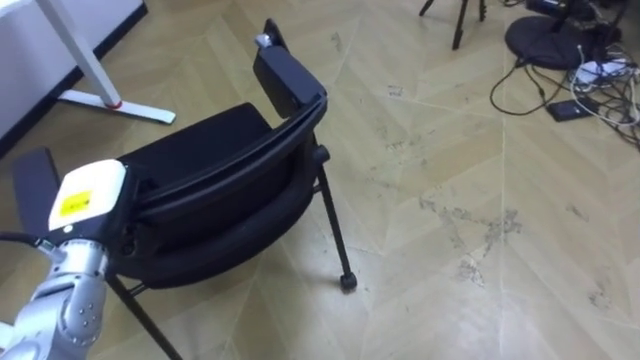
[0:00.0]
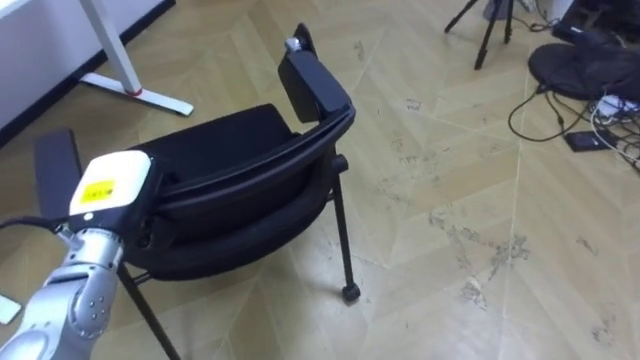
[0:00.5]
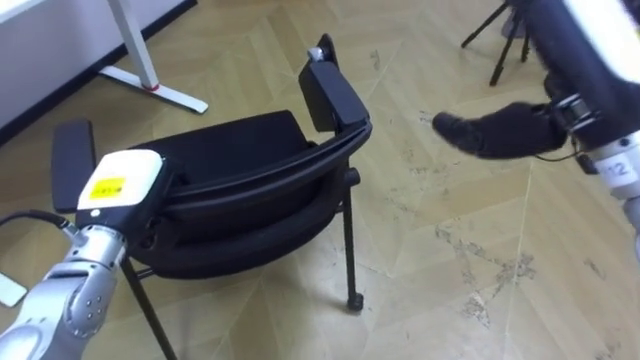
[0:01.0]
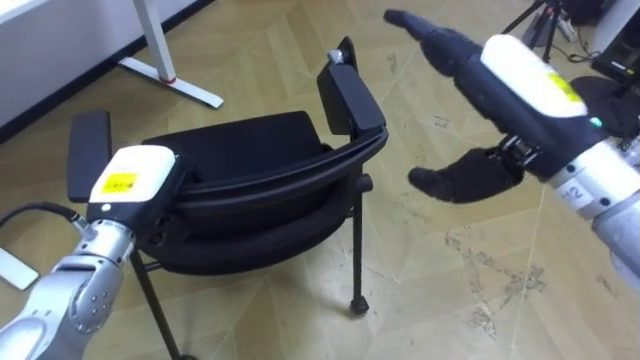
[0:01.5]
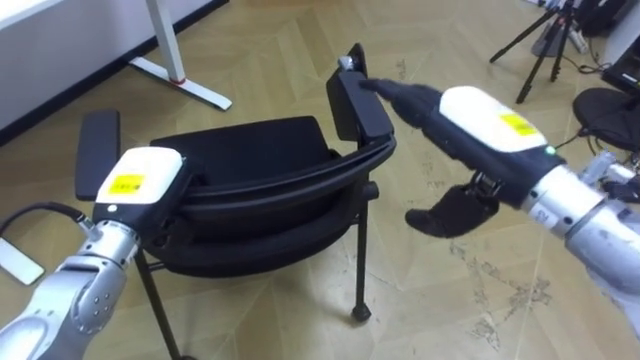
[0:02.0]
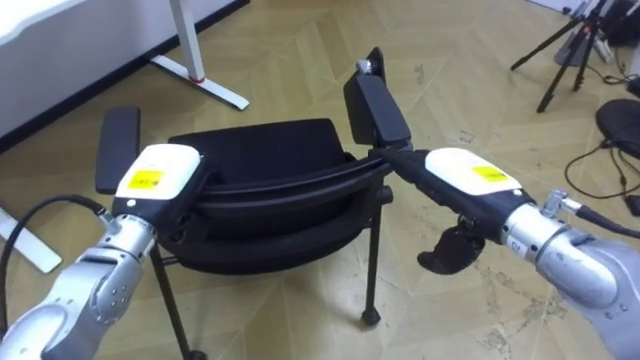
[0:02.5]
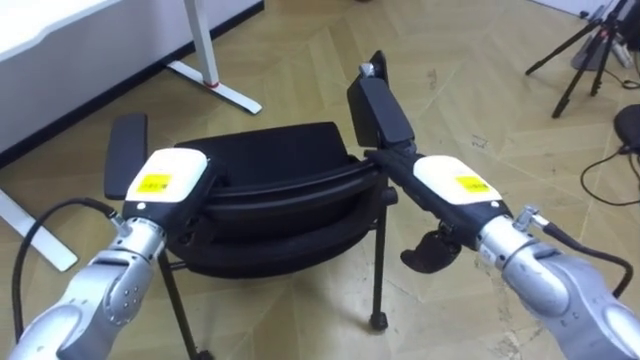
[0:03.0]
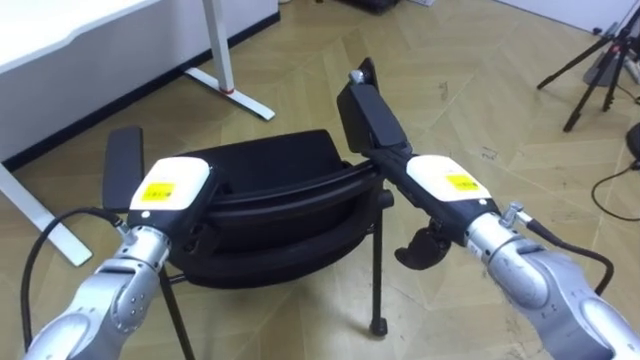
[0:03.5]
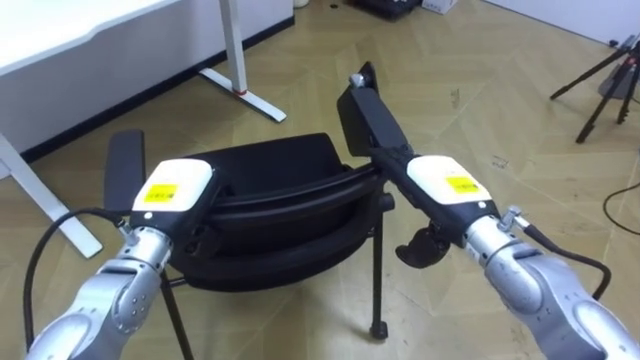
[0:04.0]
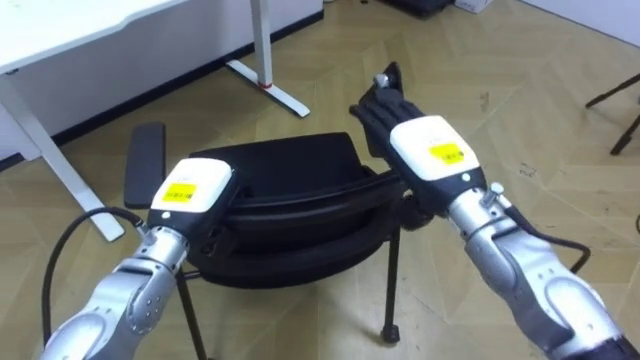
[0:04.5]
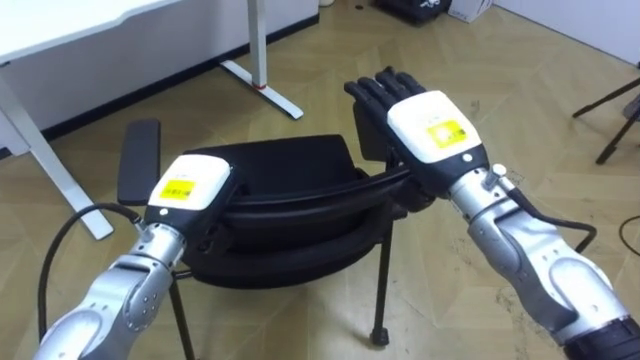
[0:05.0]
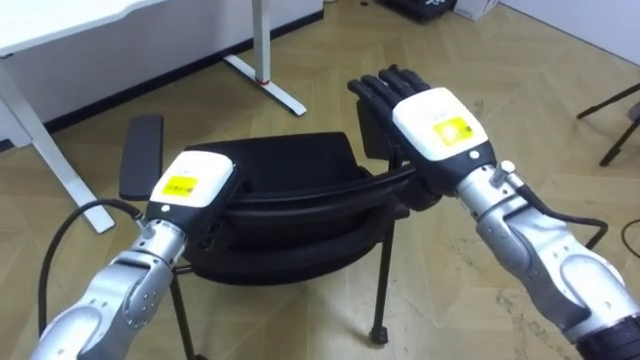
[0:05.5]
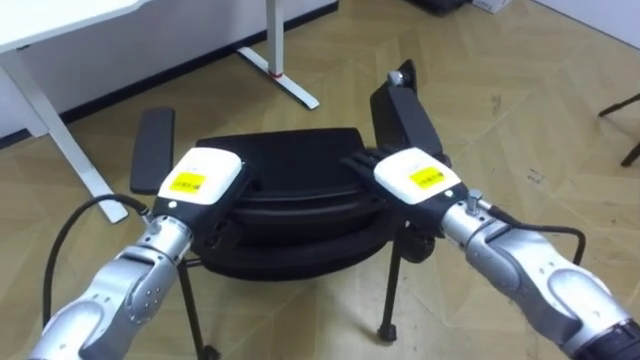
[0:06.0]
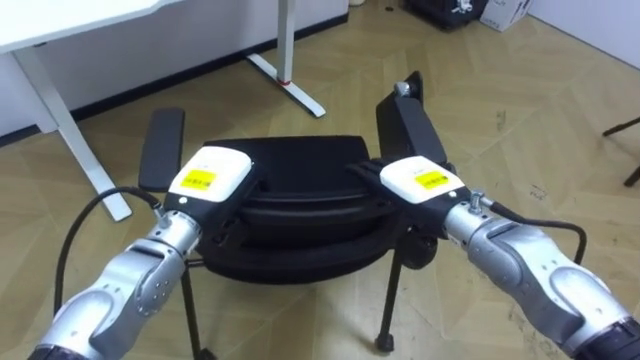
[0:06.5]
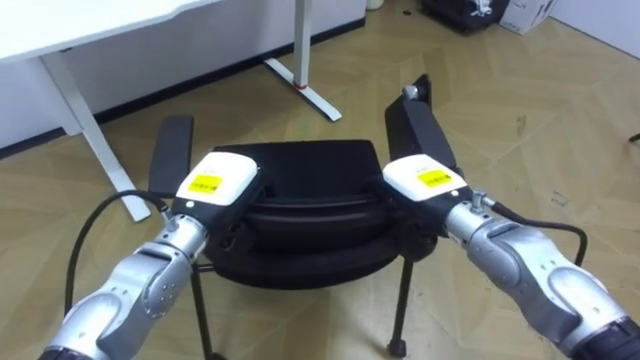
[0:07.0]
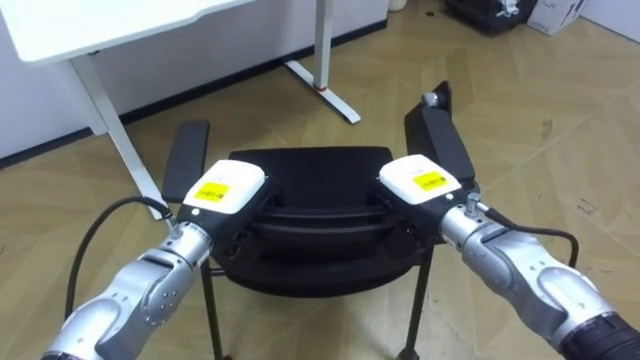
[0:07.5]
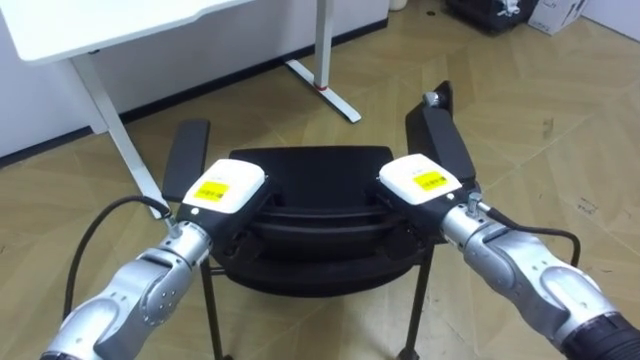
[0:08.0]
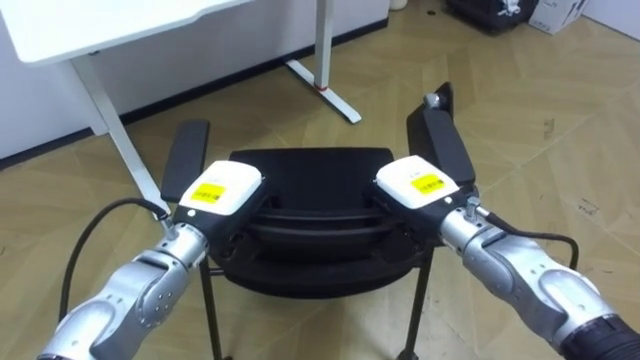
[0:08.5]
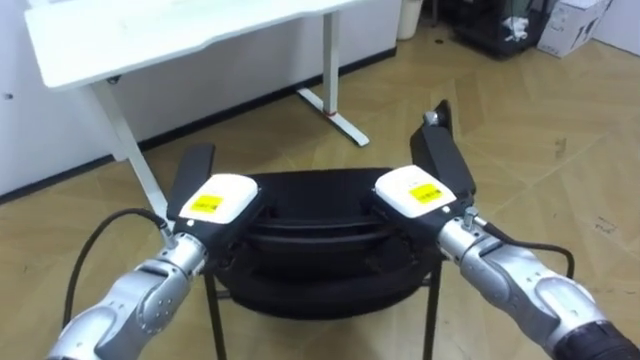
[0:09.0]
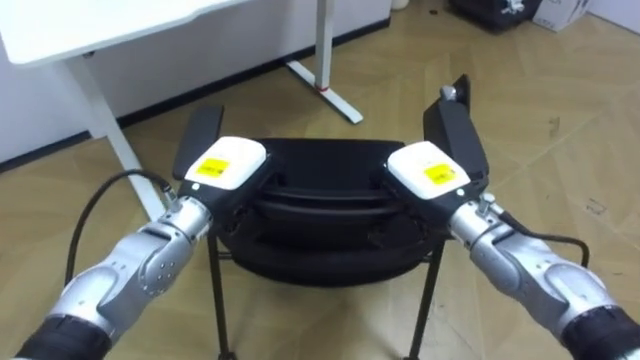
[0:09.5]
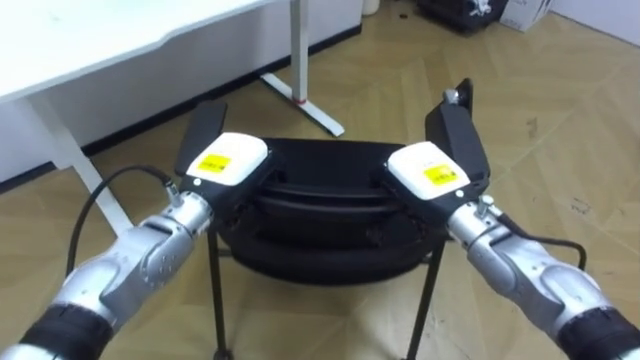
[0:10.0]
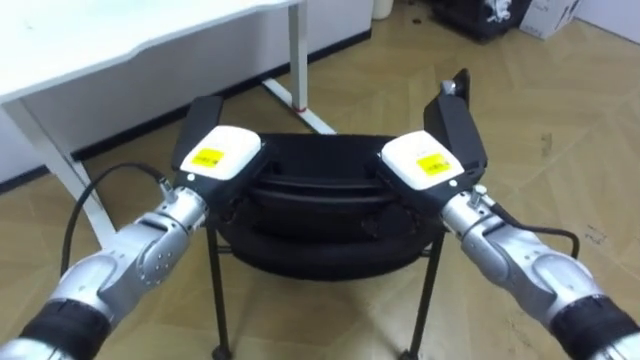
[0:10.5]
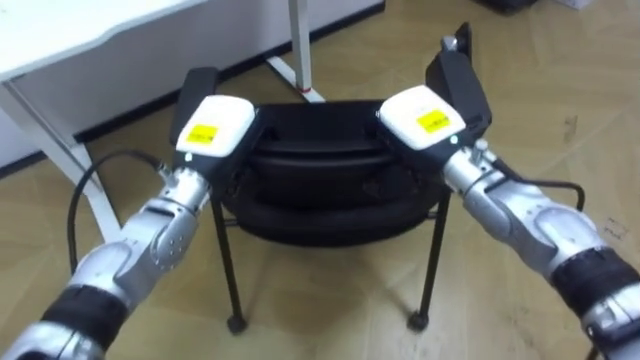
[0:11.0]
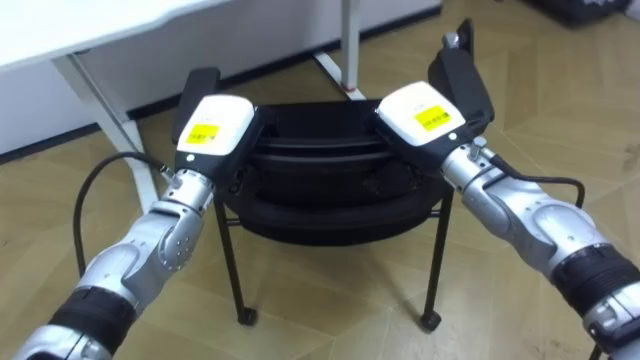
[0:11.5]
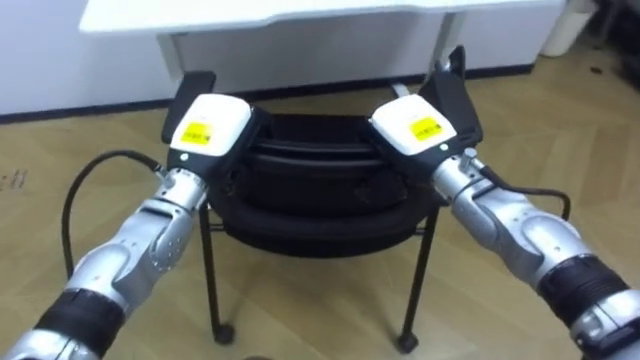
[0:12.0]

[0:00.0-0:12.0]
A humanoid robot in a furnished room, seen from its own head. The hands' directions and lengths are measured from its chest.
Task of the whole recording: Push the chair under the table.
0:00.0 to 0:02.0: The left hand is displaced to the right by some 5 cm.
0:02.0 to 0:04.0: The right hand travels downward by approximately 10 cm.
0:06.0 to 0:08.0: The right hand closes.
0:10.0 to 0:12.0: The robot faces approximately 20 degrees further to its left. The right hand changes place by approximately 5 cm.

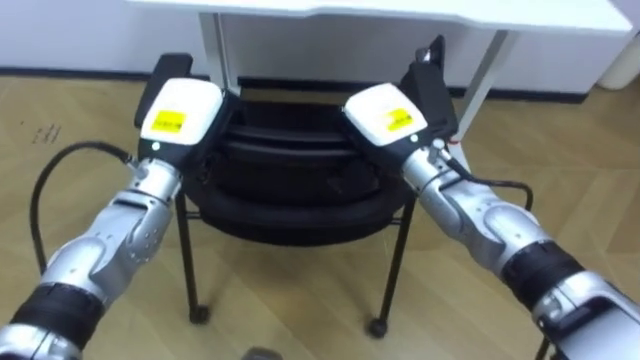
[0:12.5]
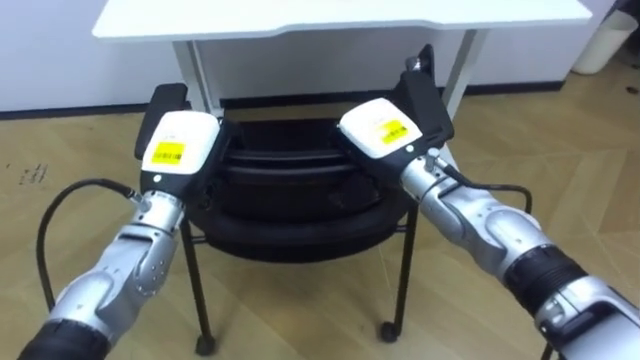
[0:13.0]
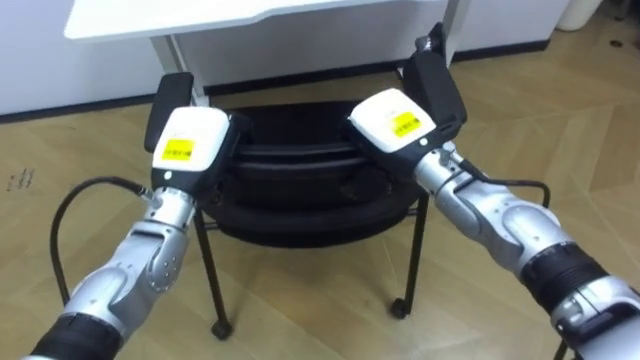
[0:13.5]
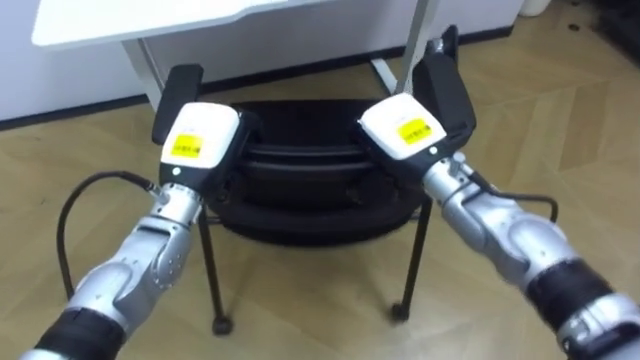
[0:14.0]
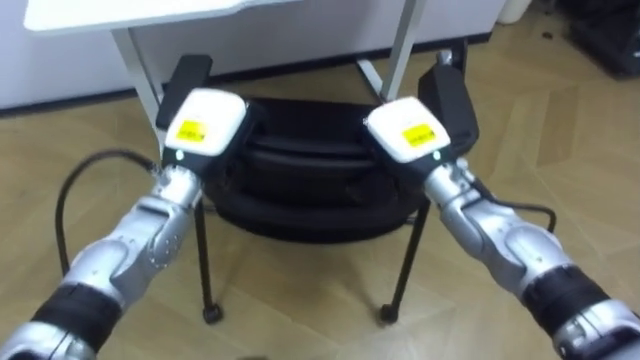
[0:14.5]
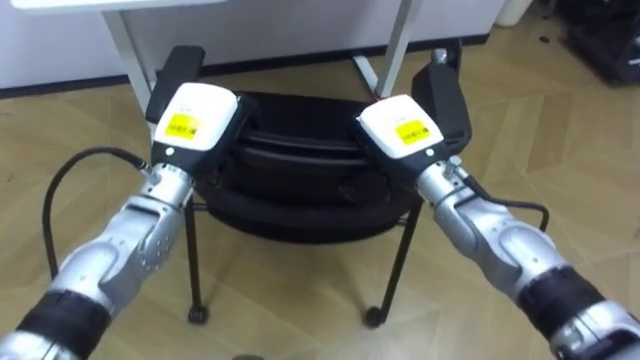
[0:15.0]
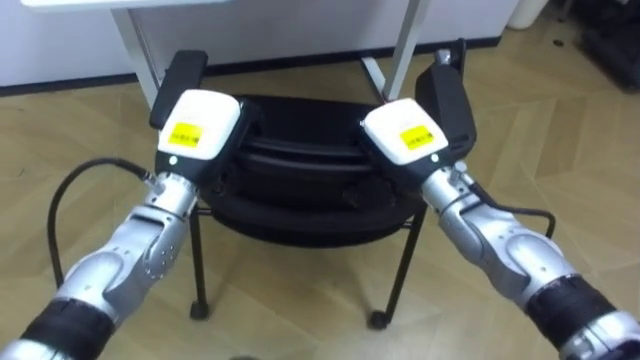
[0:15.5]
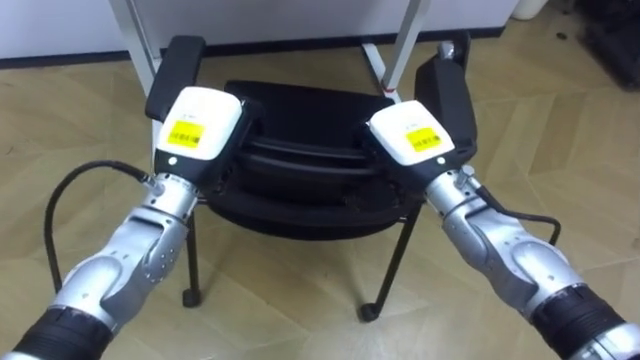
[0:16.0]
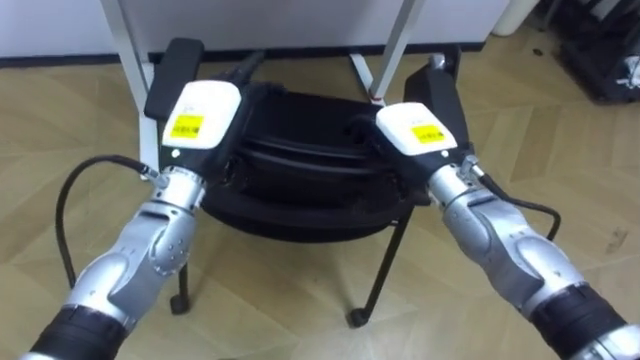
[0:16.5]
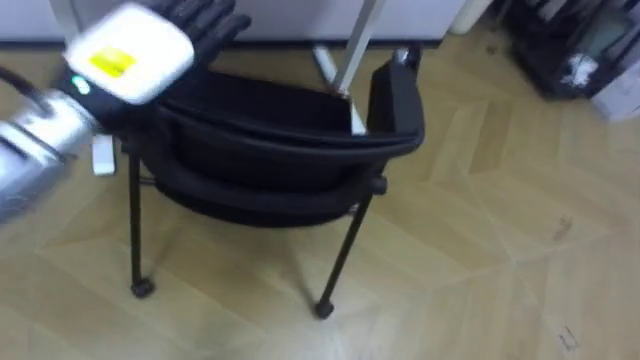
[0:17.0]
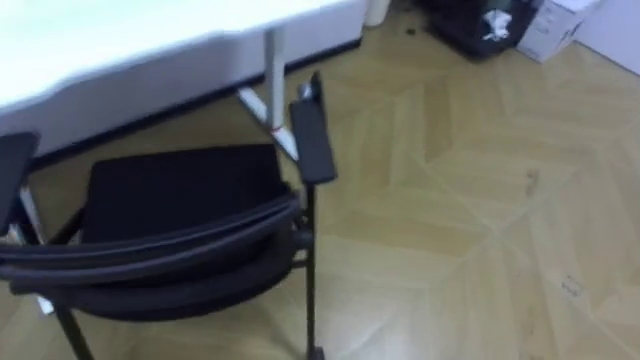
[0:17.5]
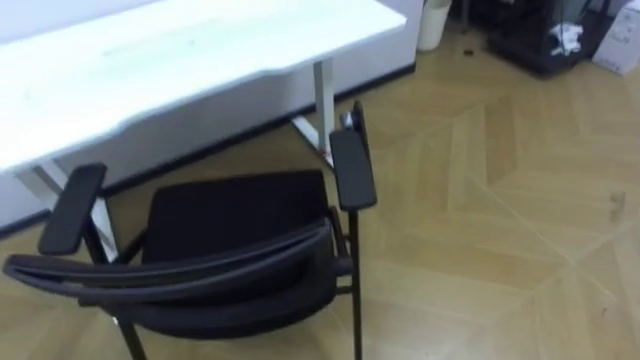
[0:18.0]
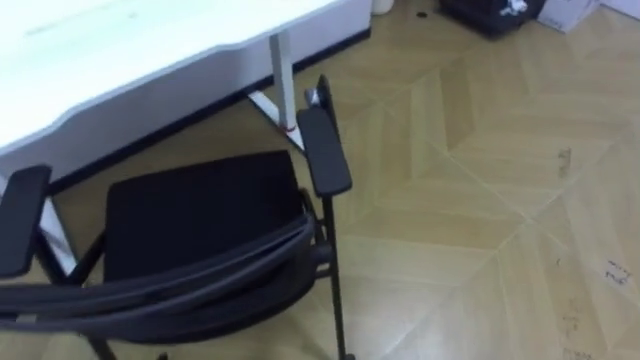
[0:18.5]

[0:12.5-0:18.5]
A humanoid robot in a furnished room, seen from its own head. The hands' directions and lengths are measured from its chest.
Task of the whole recording: Push the chair under the table.
0:14.5 to 0:16.5: The left hand opens its fingers; the right hand opens up.

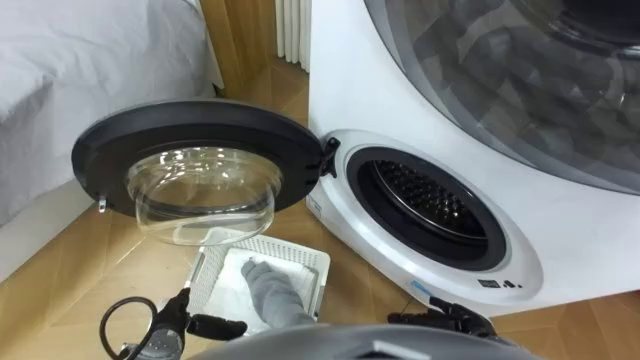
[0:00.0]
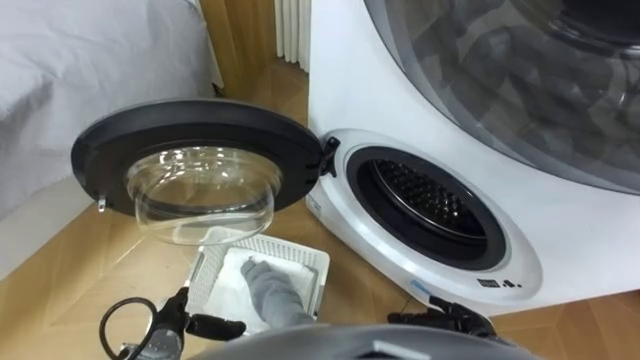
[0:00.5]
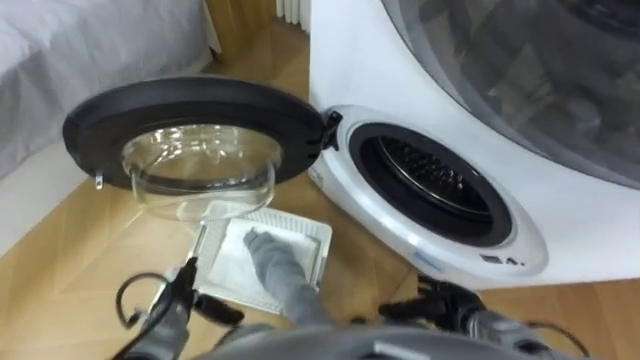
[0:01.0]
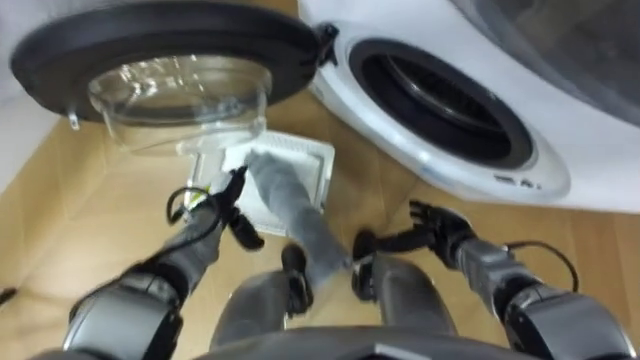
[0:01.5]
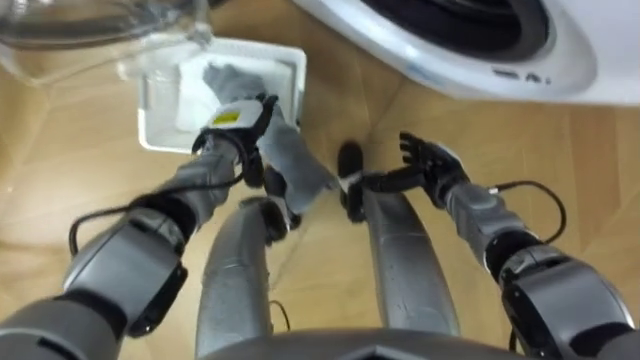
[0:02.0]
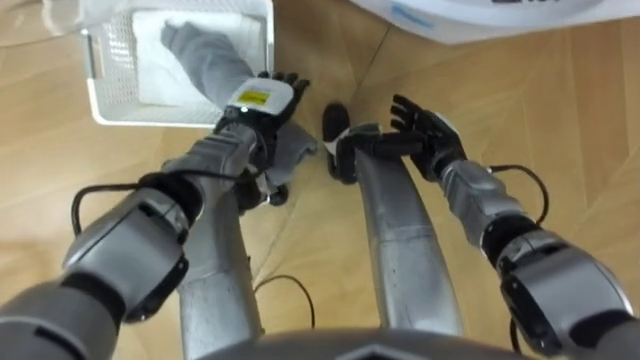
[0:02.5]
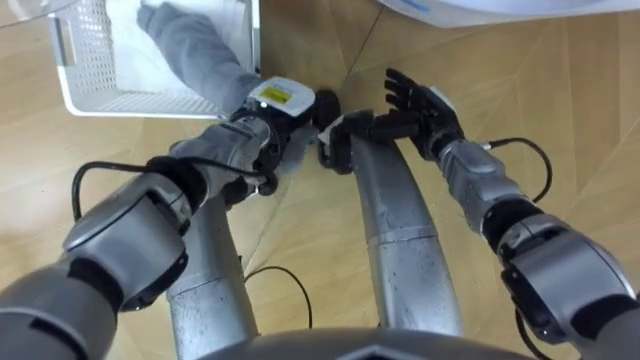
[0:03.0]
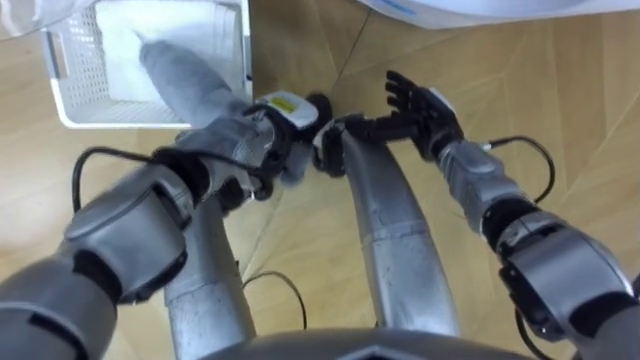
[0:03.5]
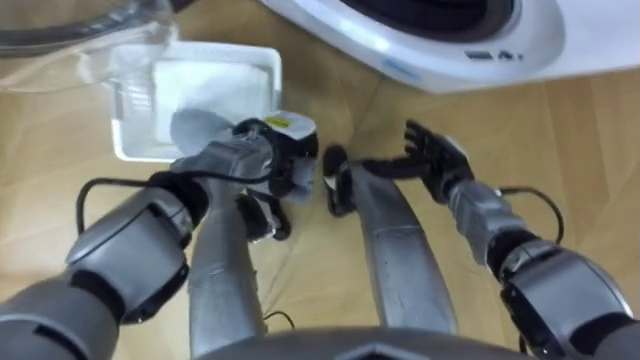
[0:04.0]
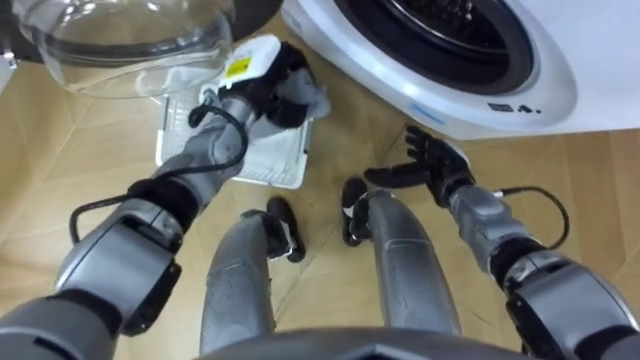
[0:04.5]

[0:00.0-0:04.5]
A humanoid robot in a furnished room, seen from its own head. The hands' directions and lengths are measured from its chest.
Task of the whole recording: Take the towel from the basket and put it into the washing machine.
0:02.0 to 0:04.5: The left hand is displaced upward by about 10 cm, and closes its fingers.
